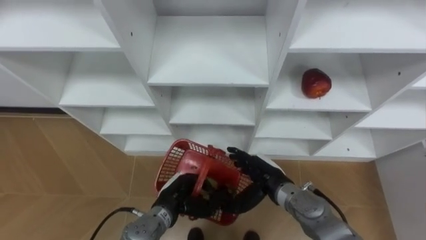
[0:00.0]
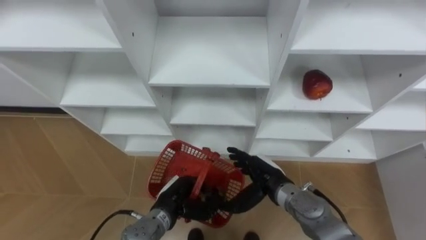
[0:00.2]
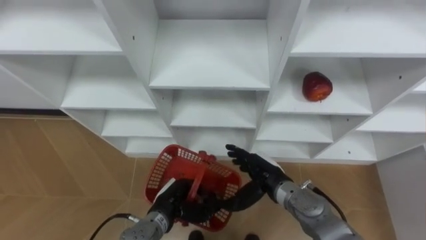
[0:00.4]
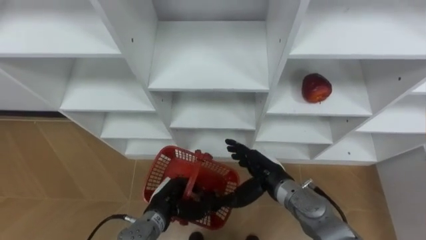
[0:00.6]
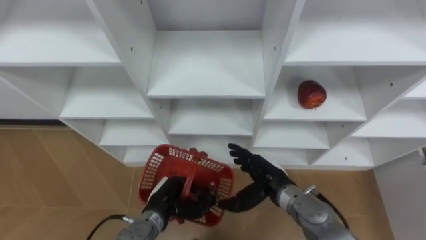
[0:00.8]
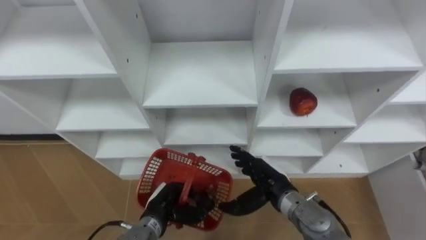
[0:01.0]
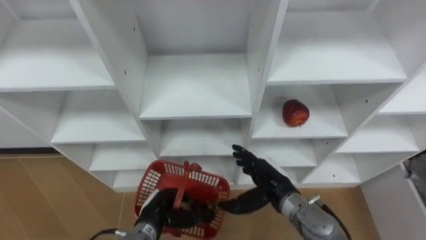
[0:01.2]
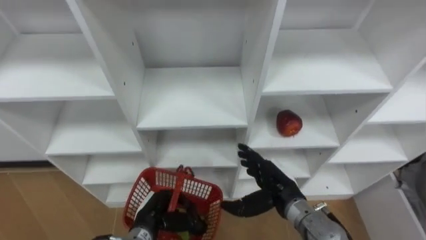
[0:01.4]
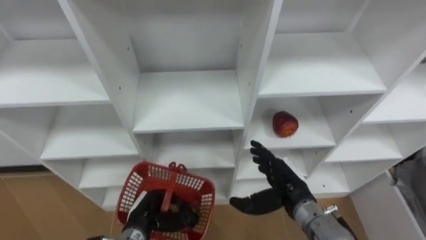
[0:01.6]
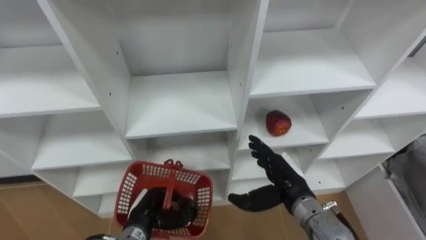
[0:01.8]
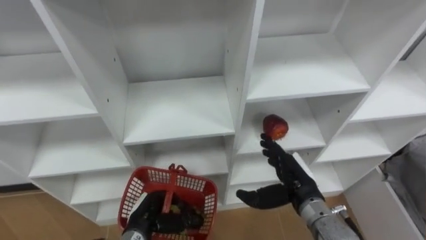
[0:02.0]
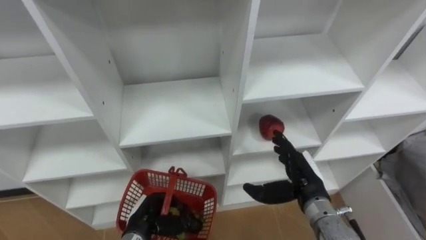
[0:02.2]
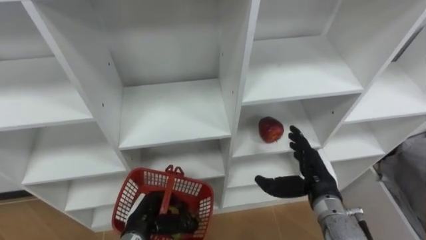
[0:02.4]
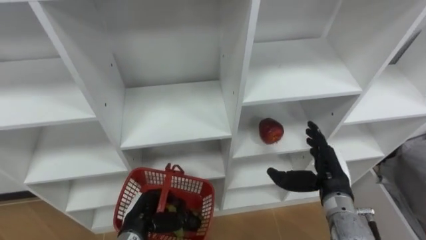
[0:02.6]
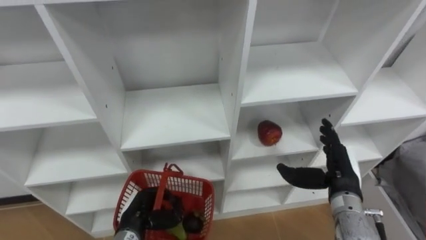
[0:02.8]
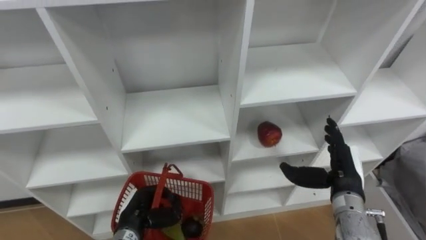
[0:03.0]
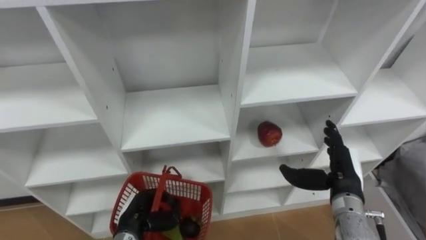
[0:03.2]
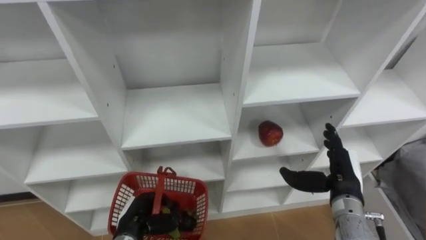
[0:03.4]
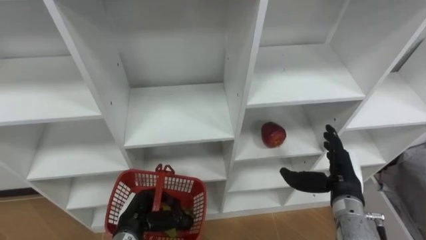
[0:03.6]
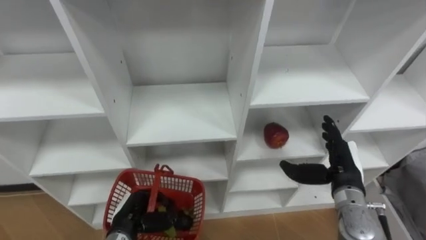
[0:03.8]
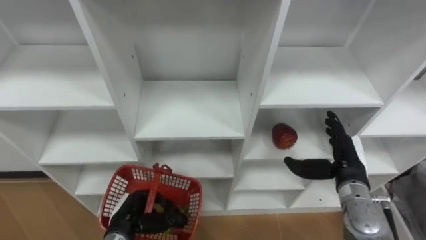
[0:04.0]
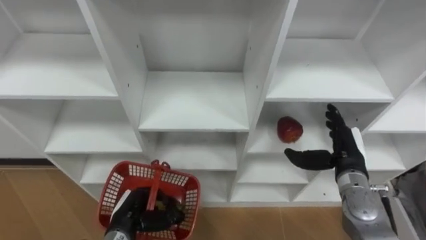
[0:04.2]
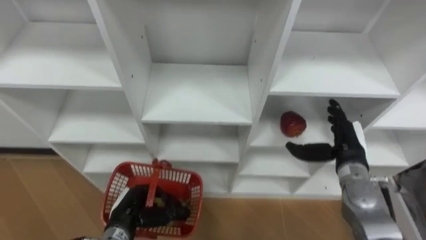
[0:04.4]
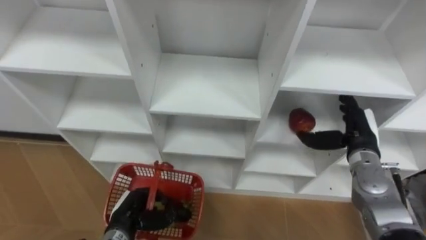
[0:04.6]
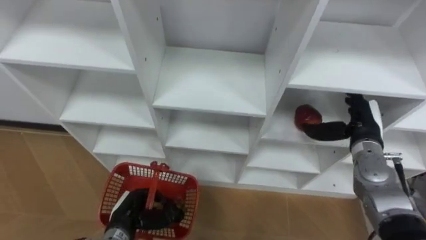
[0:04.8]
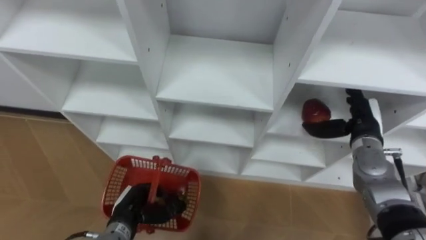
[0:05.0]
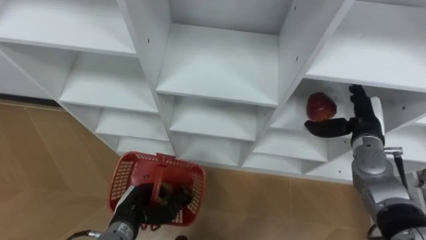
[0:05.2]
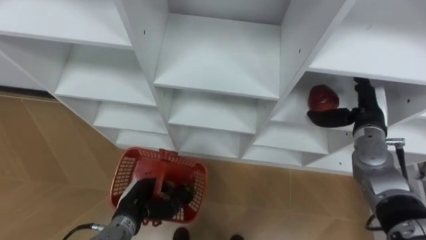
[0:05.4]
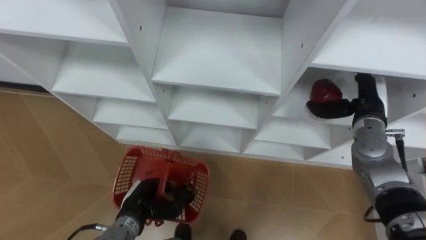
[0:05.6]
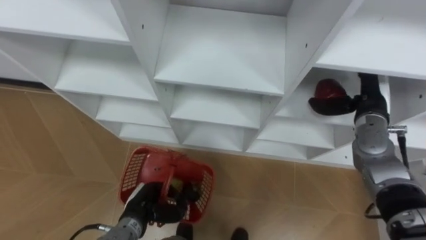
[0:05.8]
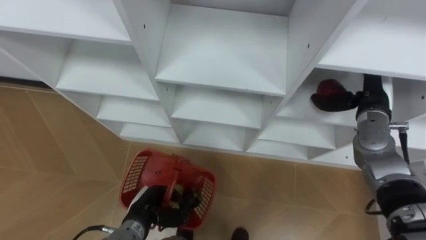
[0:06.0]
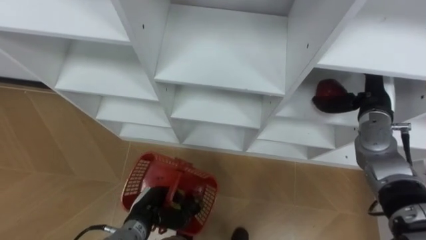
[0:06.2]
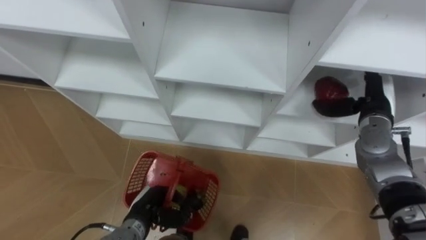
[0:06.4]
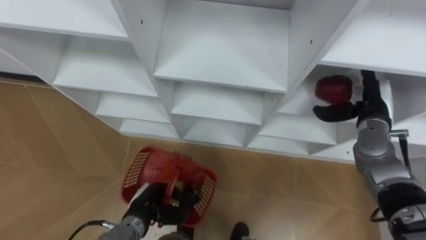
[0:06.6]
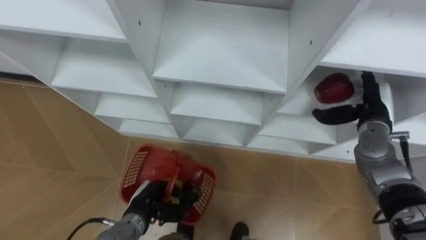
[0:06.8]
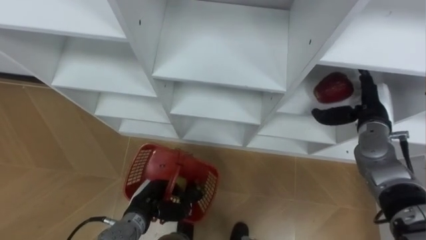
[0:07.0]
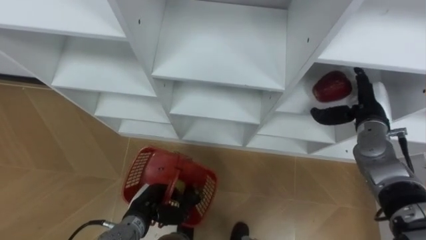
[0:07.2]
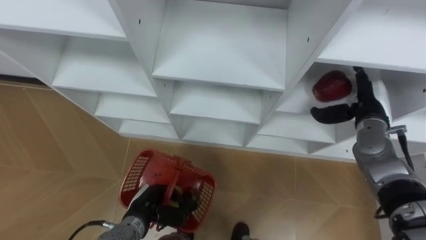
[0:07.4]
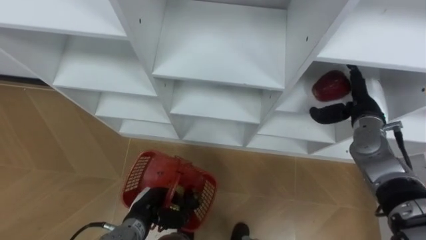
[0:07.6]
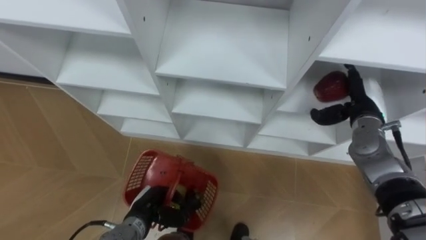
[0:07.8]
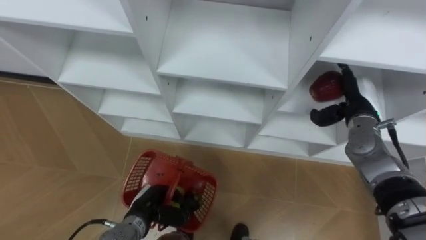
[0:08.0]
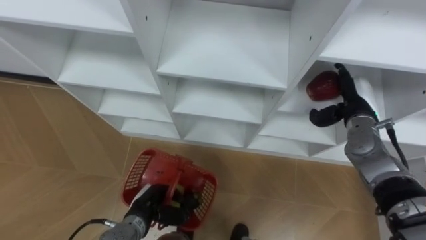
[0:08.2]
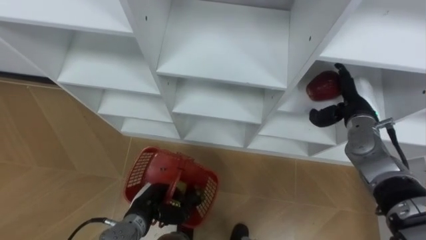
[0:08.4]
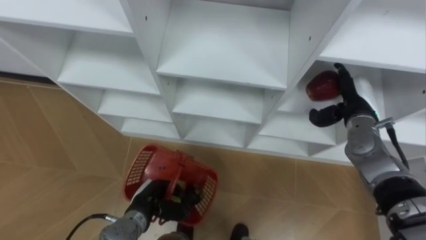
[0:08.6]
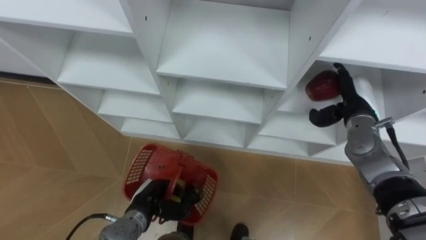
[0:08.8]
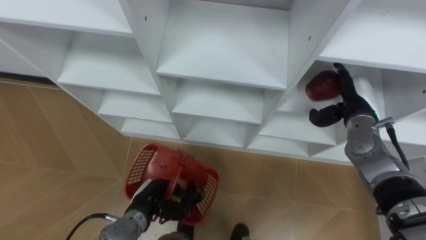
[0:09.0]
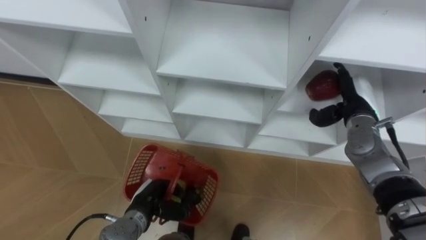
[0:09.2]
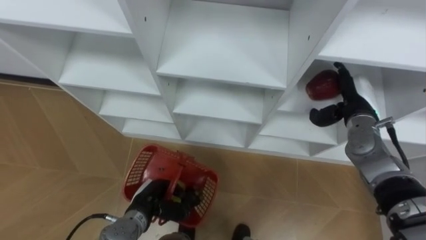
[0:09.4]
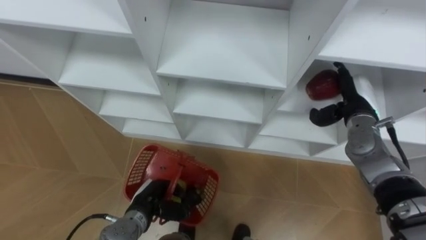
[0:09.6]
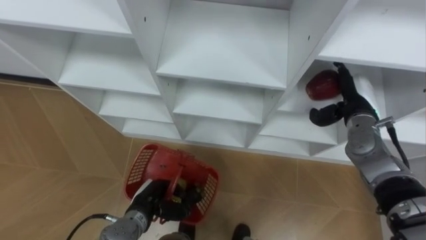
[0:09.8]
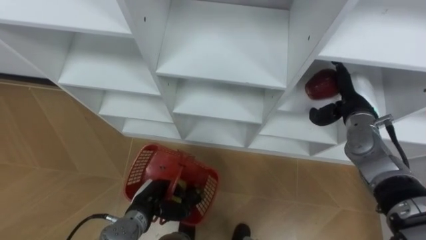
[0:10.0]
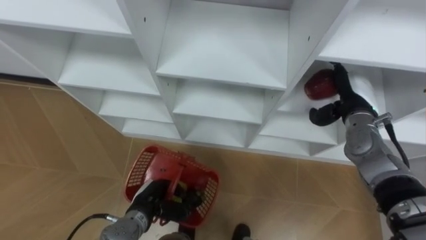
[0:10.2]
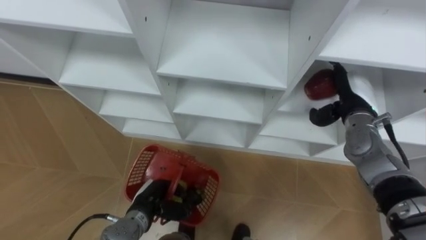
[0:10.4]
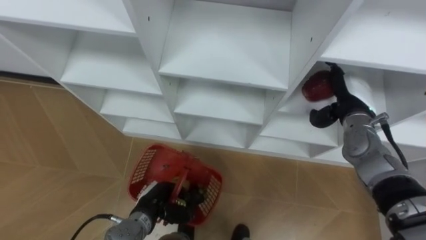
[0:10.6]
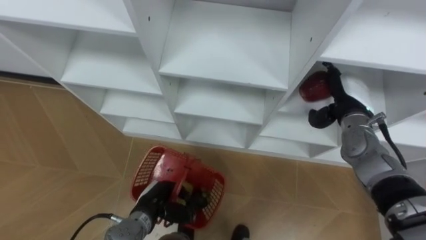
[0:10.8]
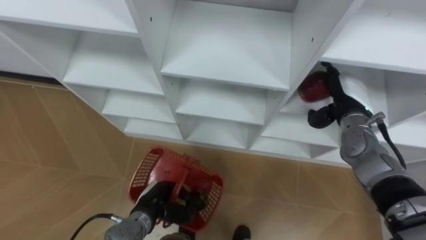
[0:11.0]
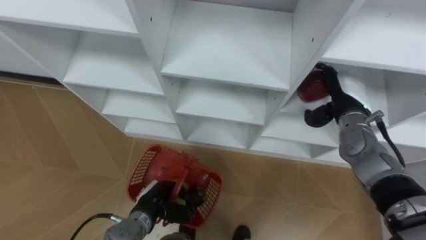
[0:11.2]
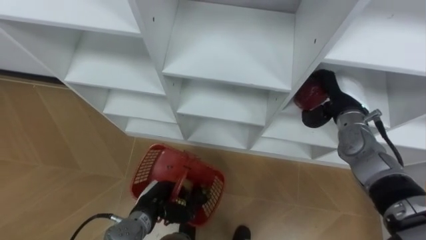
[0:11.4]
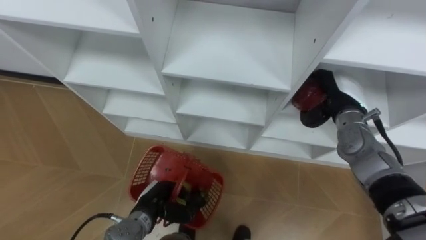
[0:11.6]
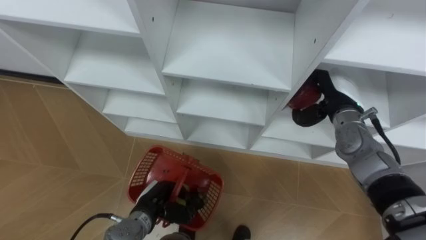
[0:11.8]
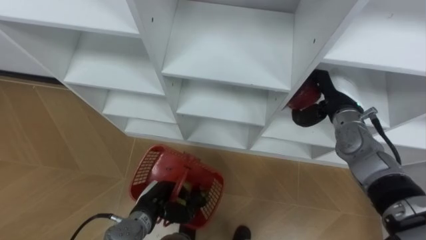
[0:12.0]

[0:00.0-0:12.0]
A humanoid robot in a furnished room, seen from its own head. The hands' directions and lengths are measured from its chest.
Task of the whole recording: Hold the basket and collect the fruits from 3 different cells of the closet into it.
0:00.0 to 0:01.6: The left hand shifts roughly 5 cm to the left; the right hand moves approximately 5 cm.
0:01.6 to 0:03.0: The right hand moves to the right, some 10 cm.
0:03.0 to 0:04.4: The right hand shifts by roughly 5 cm.
0:04.4 to 0:06.0: The right hand goes some 10 cm forward and upward.
0:06.0 to 0:07.6: The hands stay close to where they were, moving slightly.
0:07.6 to 0:10.4: The hands move only a little.
0:10.4 to 0:12.0: The right hand closes up.

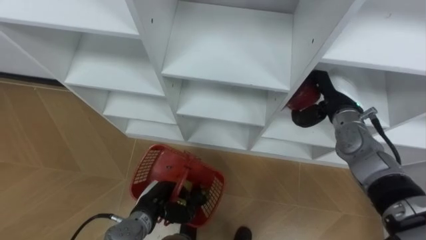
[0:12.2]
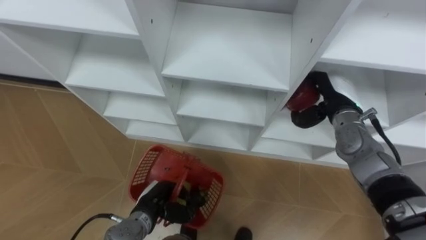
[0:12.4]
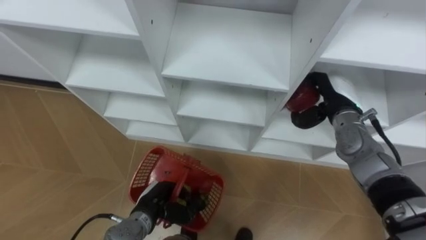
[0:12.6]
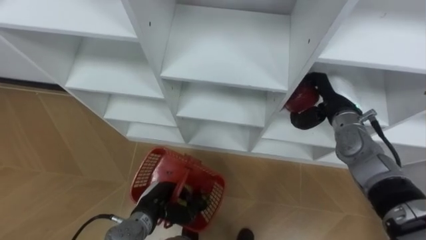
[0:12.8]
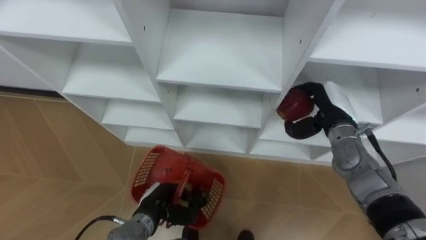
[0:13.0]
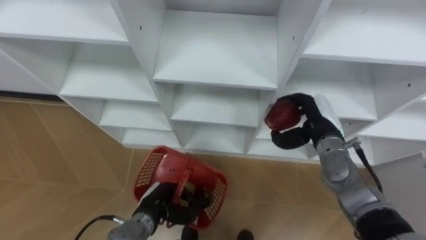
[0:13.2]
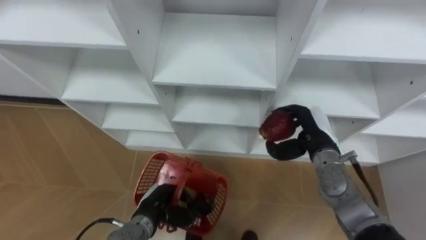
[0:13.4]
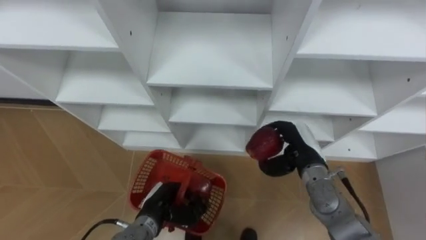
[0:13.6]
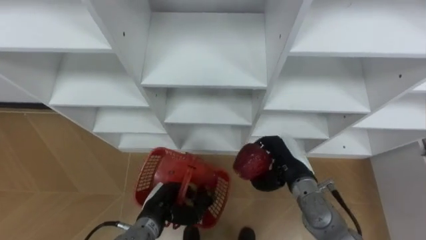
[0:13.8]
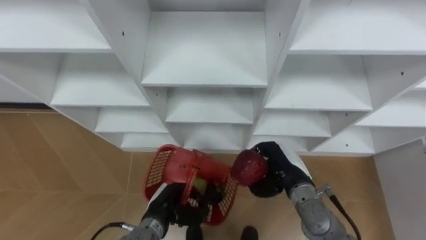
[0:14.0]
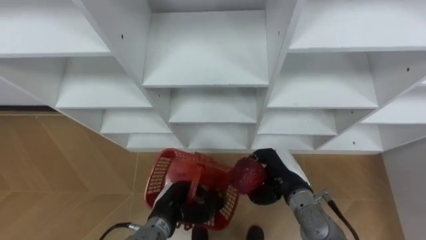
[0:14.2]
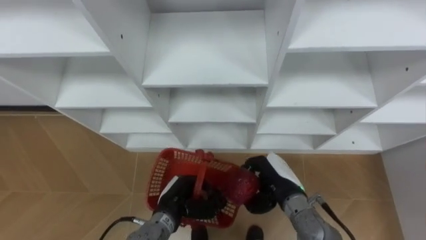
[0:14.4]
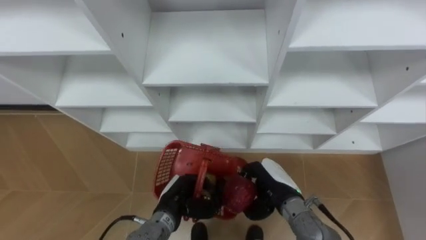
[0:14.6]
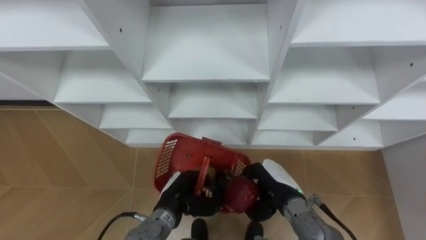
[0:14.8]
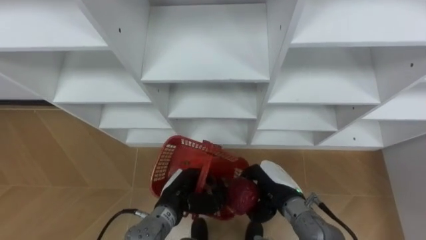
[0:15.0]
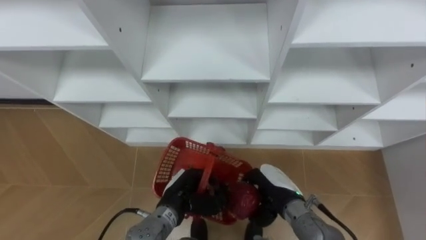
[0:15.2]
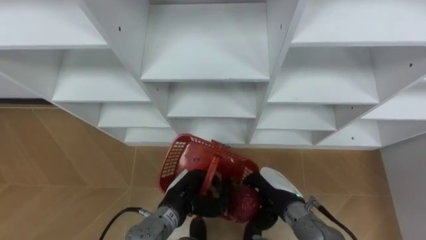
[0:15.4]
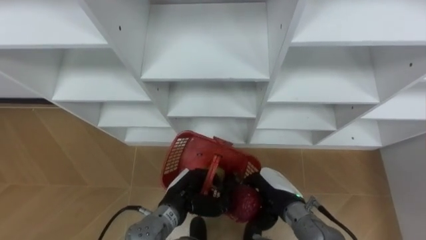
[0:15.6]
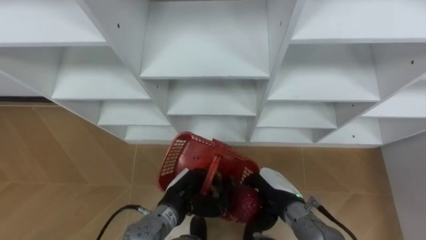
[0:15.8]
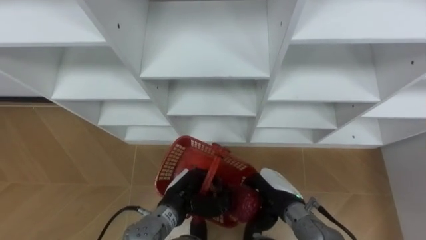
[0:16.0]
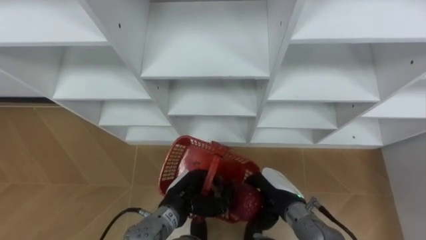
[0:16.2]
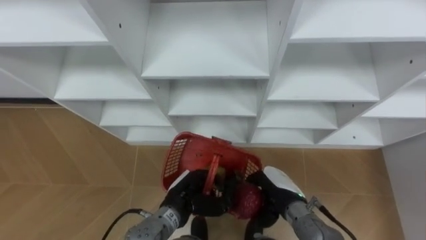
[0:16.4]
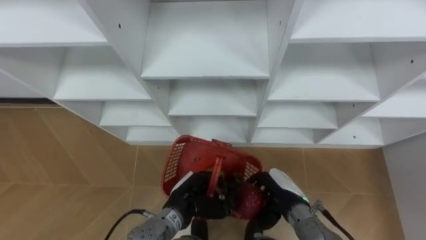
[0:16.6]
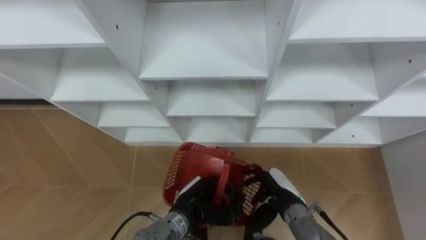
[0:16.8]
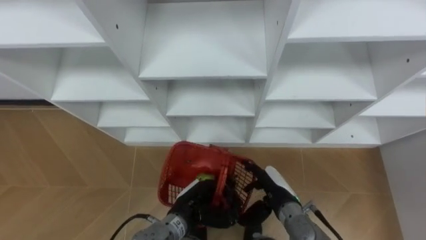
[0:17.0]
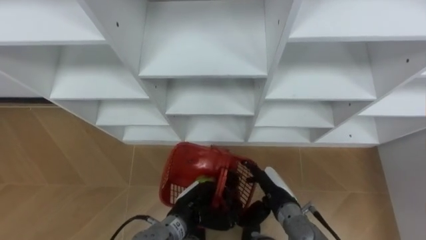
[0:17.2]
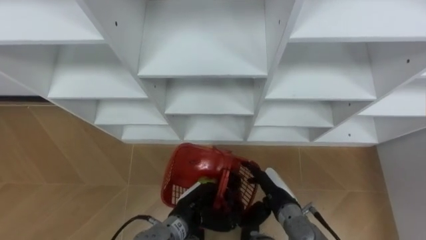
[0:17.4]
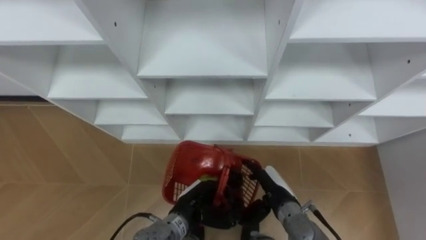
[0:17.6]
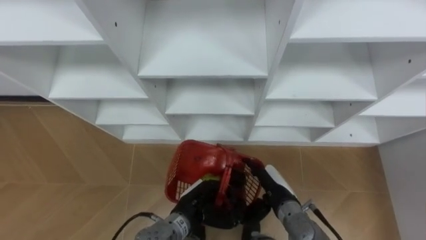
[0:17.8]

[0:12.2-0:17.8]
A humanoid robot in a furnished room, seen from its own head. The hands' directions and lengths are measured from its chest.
Task of the whole recording: Hold the basket and collect the fruits from 3 different cells of the closet into it.
0:12.2 to 0:13.6: The right hand heads backward, downward and to the left, covering about 10 cm.
0:13.6 to 0:15.0: The right hand travels backward and to the left by about 10 cm. Meanwhile the left hand ends up roughly 5 cm from where it was.
0:15.0 to 0:16.4: The hands make only small movements.
0:16.4 to 0:17.8: The right hand opens up.
